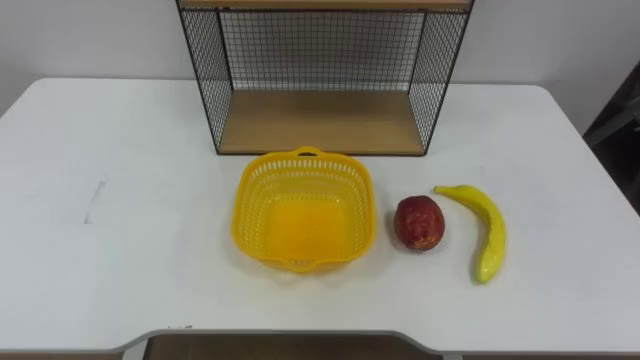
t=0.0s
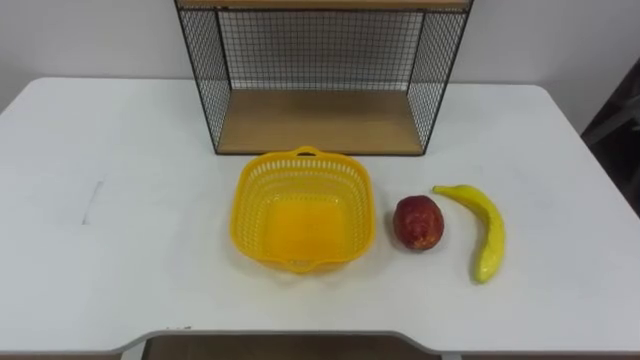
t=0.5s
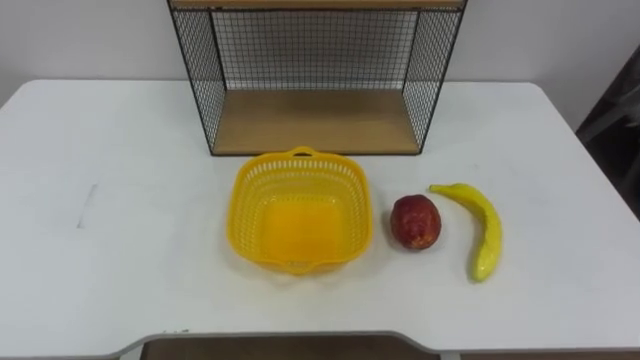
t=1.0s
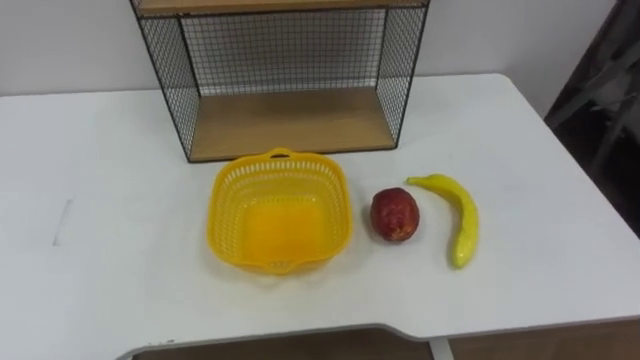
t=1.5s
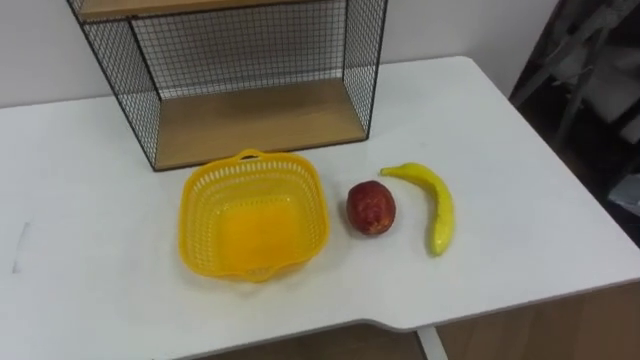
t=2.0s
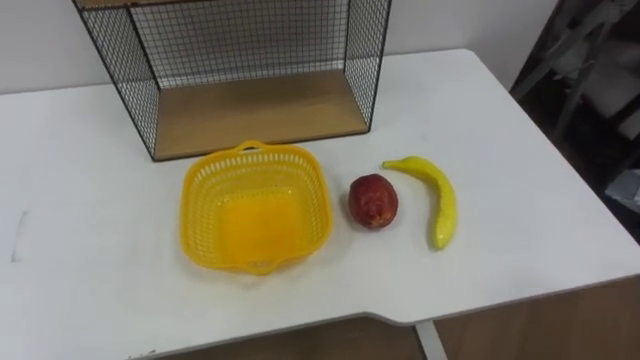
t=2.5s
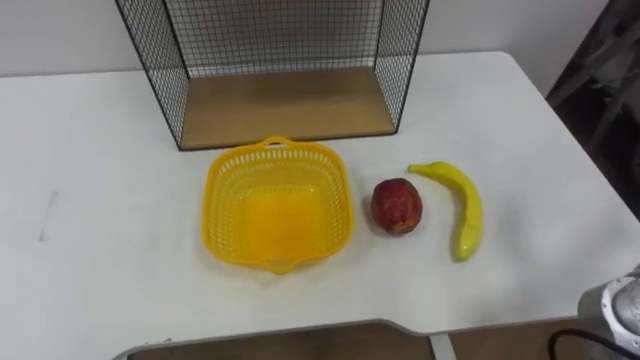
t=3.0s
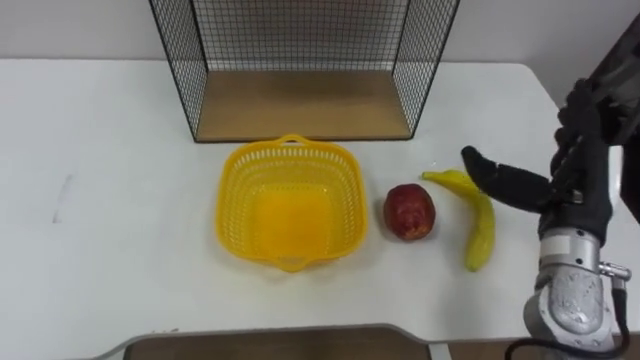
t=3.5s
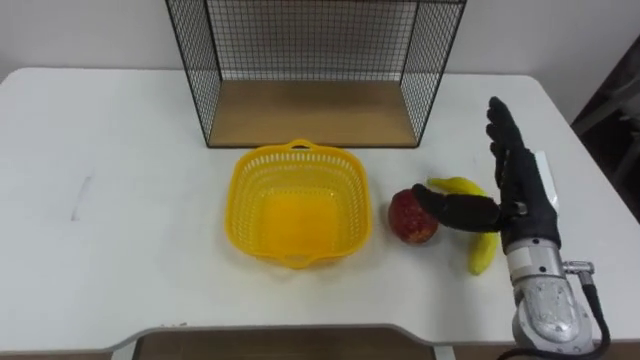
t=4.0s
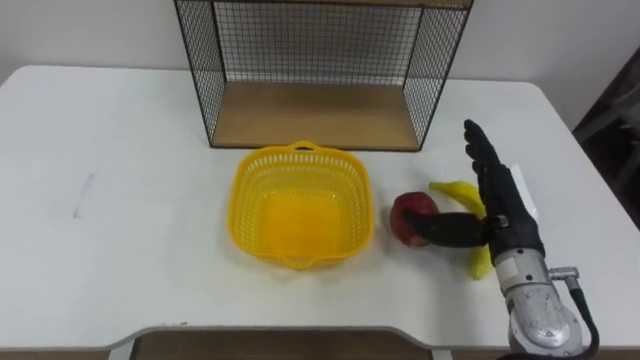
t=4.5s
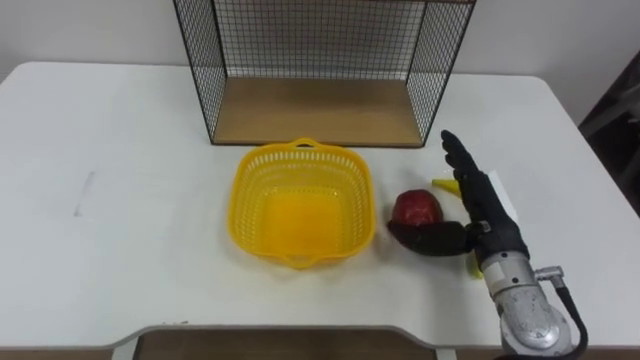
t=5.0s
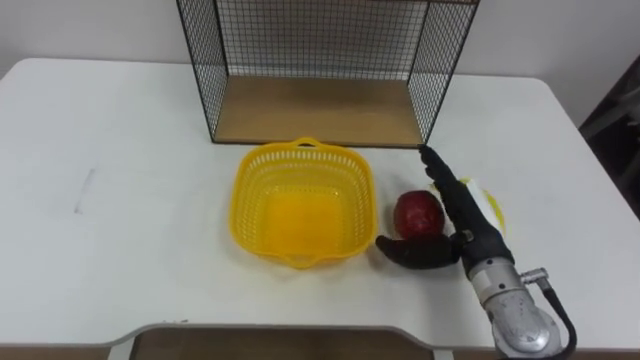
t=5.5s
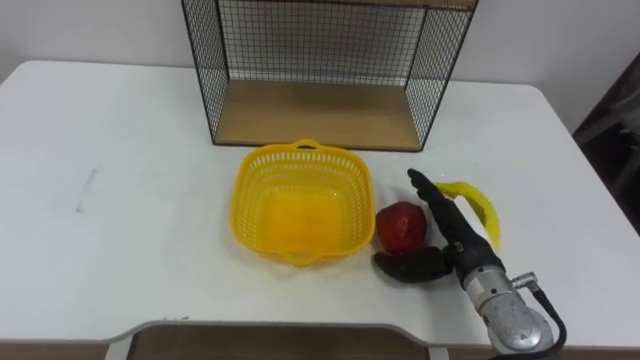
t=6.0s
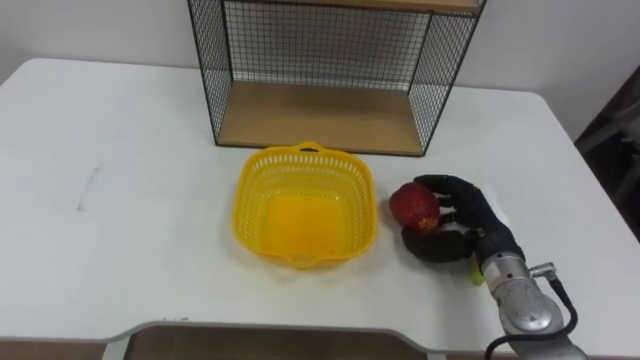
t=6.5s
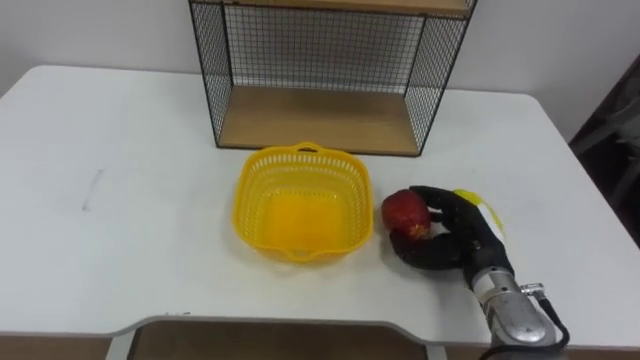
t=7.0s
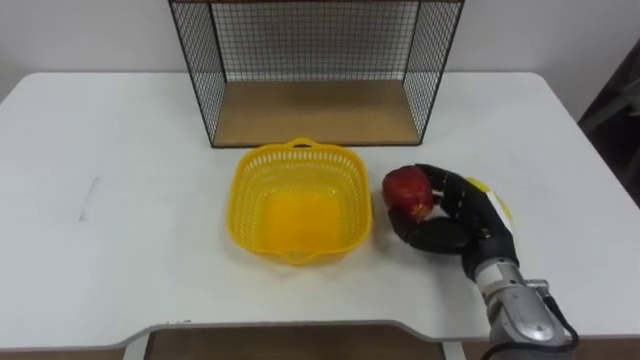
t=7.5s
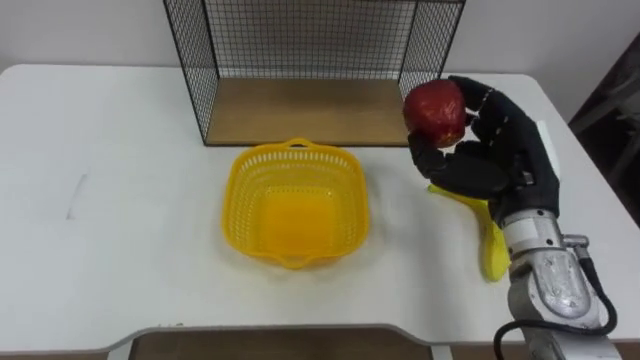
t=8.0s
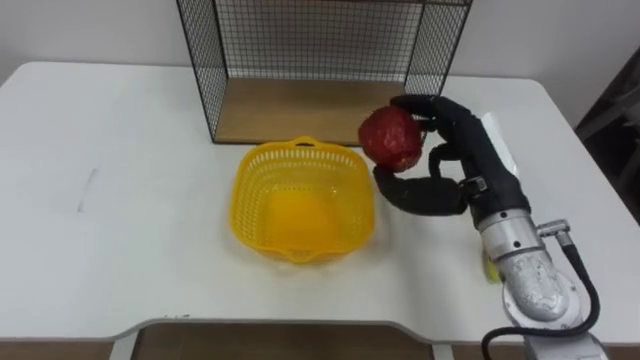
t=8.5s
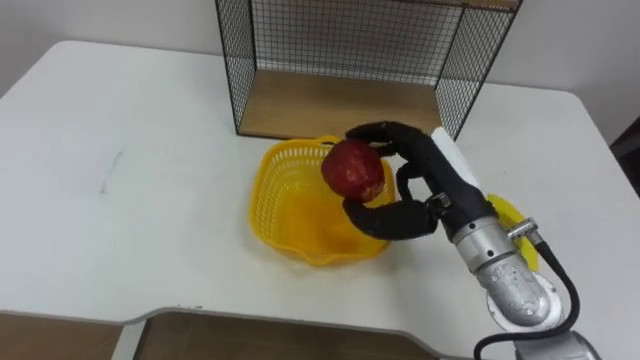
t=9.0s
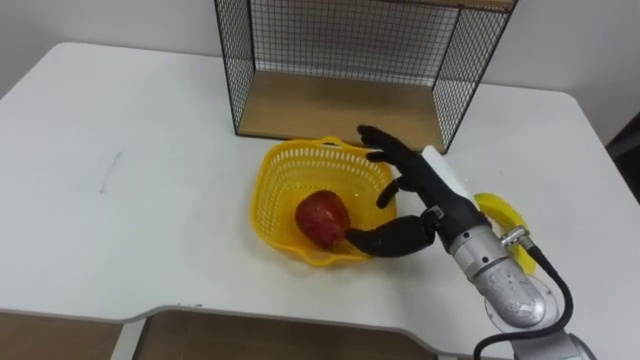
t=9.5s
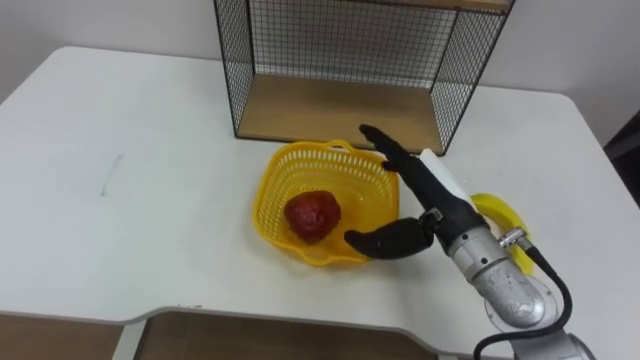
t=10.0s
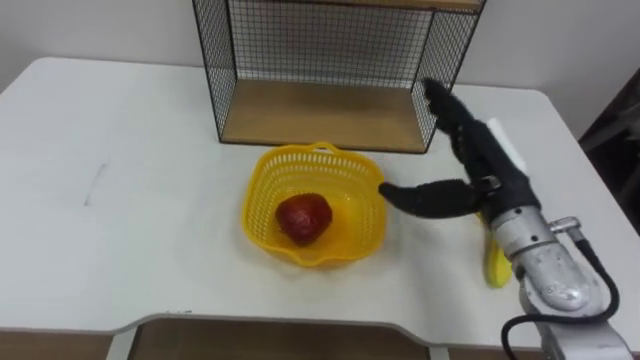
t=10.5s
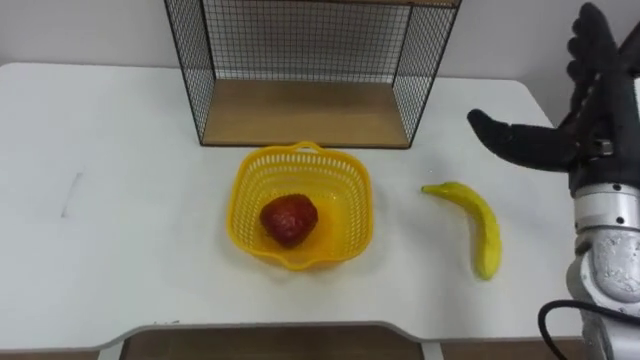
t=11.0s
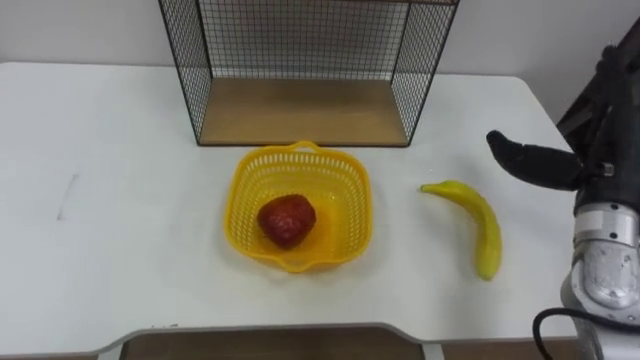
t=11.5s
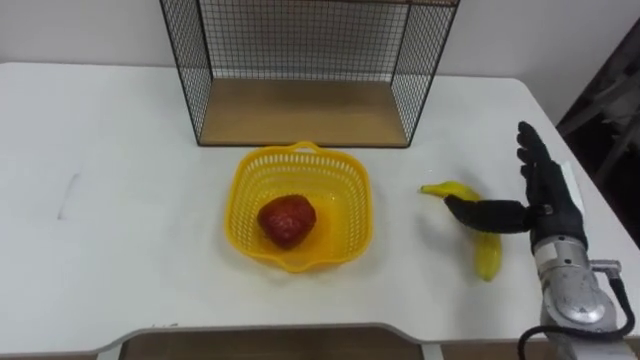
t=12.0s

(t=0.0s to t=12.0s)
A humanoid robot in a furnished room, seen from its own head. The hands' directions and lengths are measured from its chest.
Task of the whole recording: Put the fruit on the table into the basket, then place the basket on the shelf.
t=4.0s - t=6.0s: The right hand travels downward by some 10 cm.
t=6.0s - t=8.0s: The right hand is displaced upward by about 10 cm, and closes.
t=8.0s - t=10.0s: The right hand is displaced to the left by roughly 10 cm, and opens up.
t=10.0s - t=12.0s: The right hand shifts some 15 cm to the right.

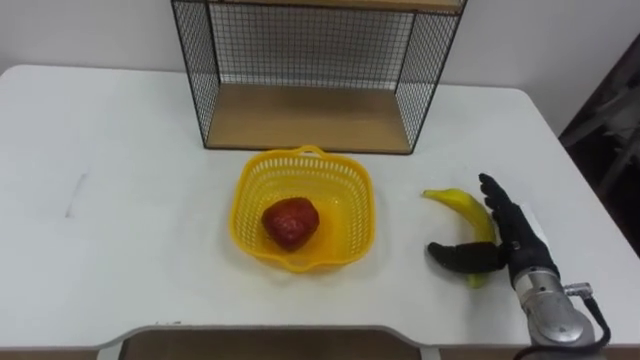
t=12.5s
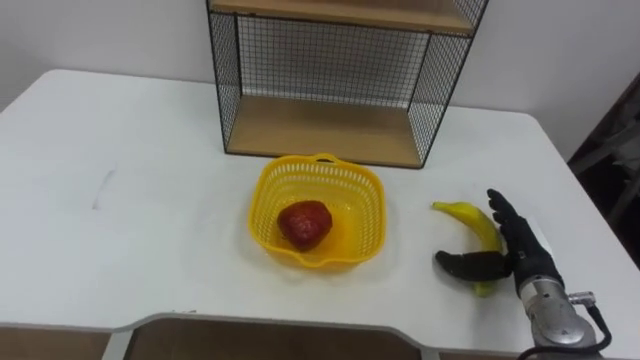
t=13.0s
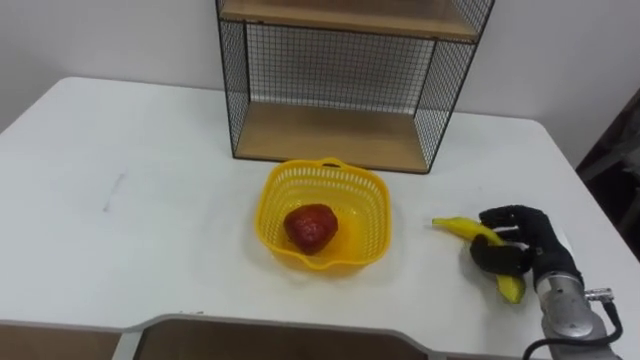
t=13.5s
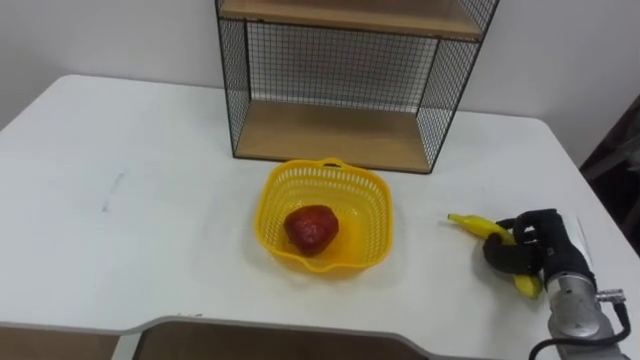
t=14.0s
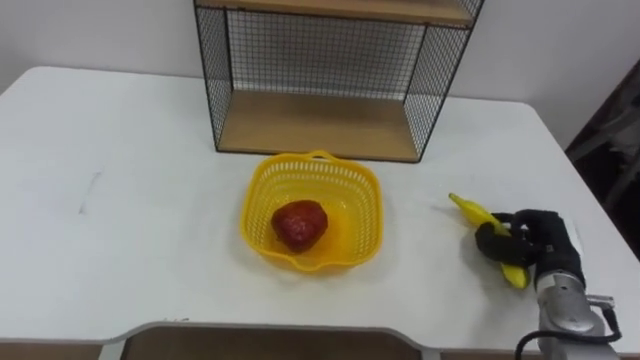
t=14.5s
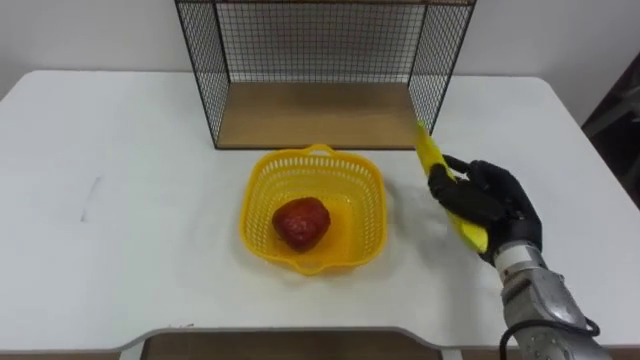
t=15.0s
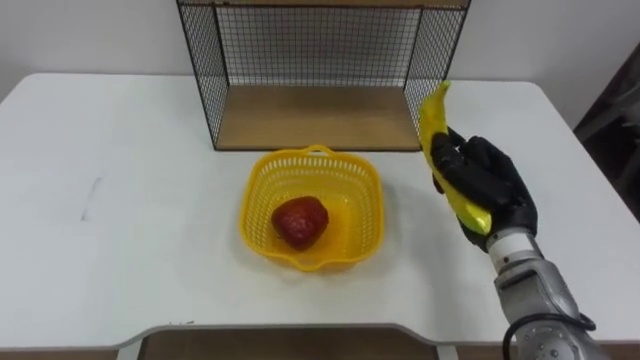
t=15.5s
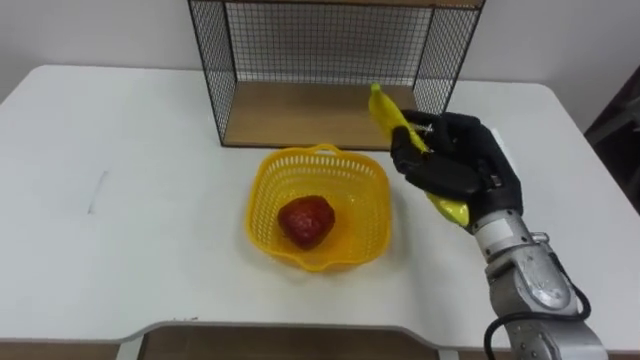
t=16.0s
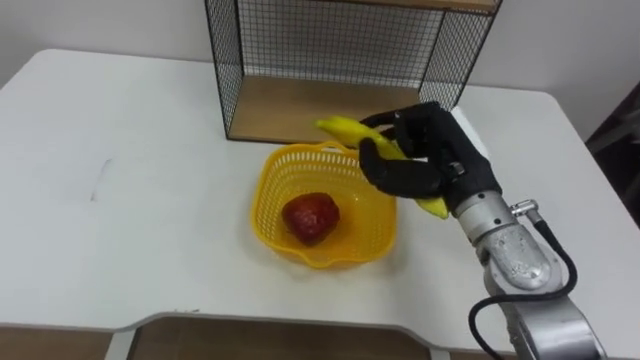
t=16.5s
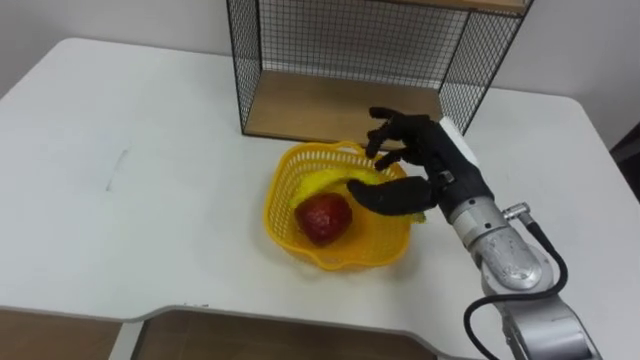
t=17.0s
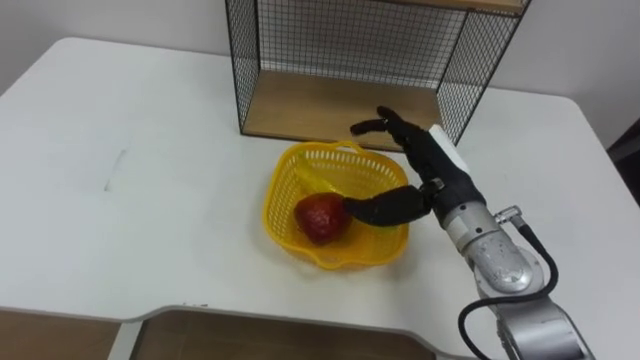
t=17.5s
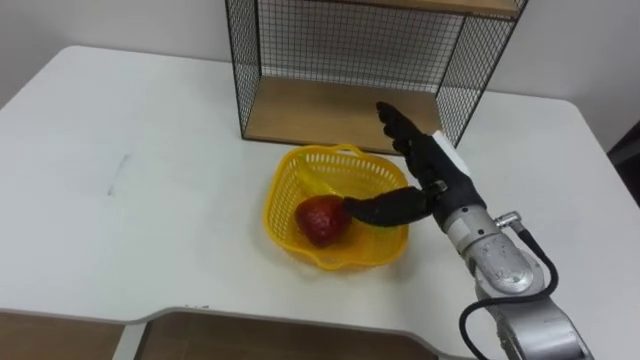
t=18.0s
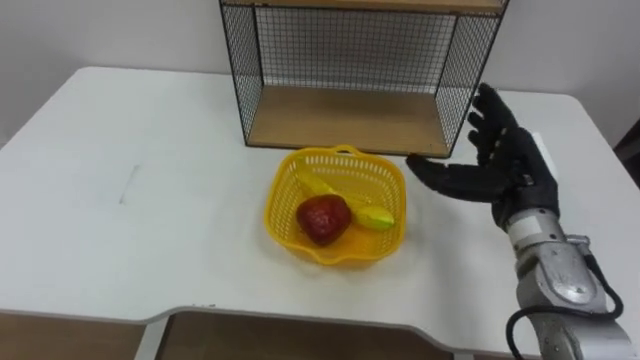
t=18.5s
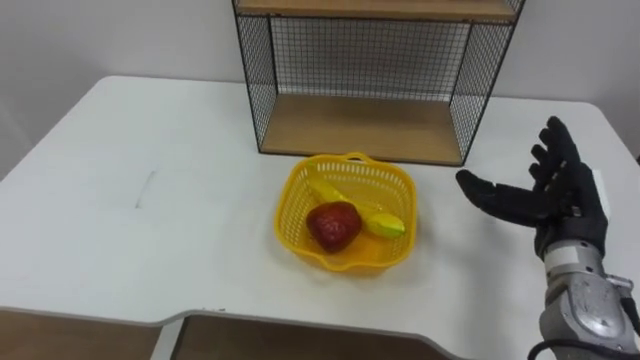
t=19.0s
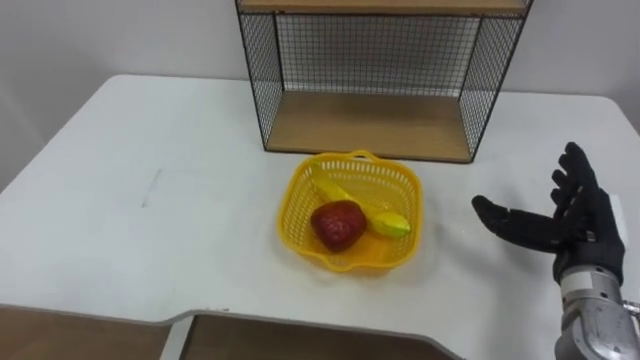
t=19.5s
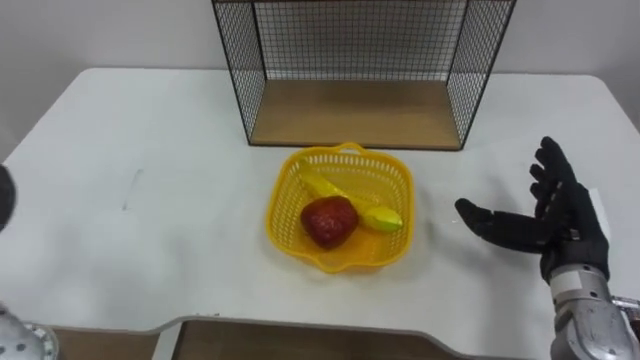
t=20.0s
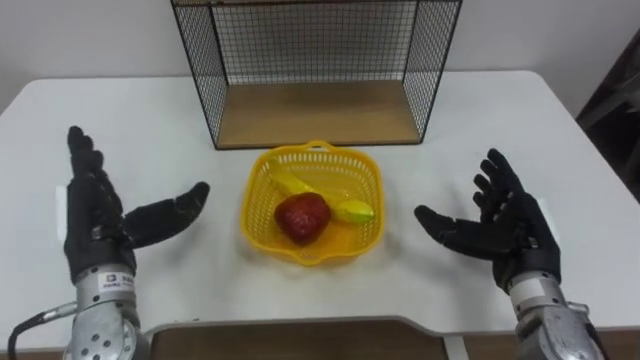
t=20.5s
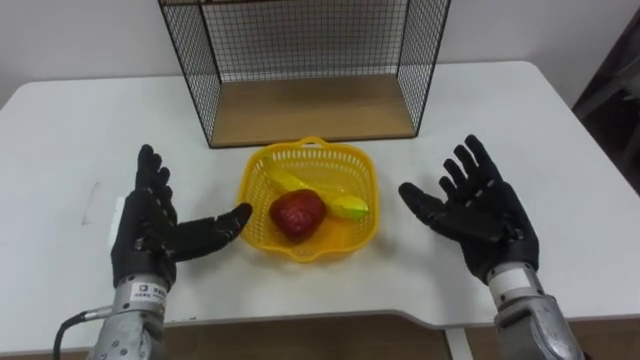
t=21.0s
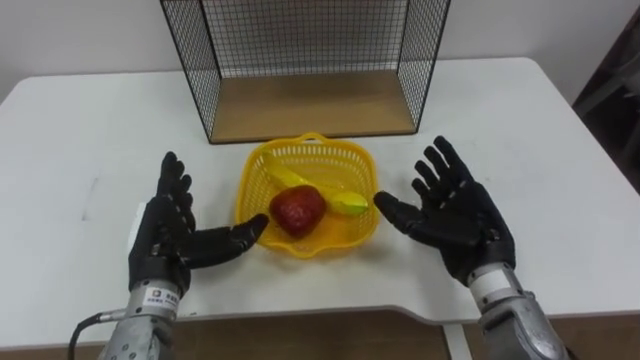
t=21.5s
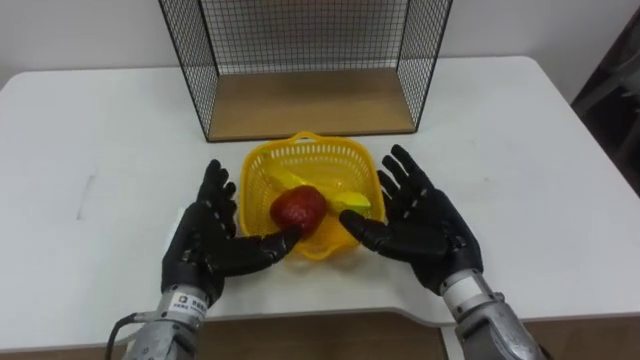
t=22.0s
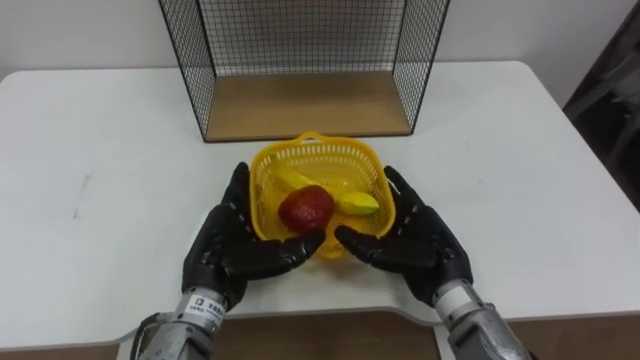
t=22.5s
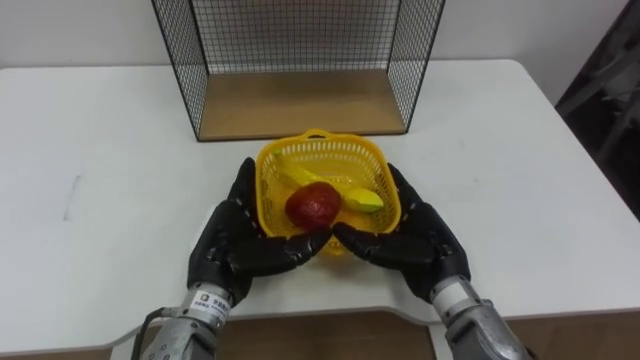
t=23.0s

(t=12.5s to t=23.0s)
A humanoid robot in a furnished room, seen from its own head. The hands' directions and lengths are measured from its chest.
Task of the whole recording: Put the fruit on the table into the basket, then place the basket on the shelf.
t=12.5s - t=14.5s: The right hand closes up.
t=14.5s - t=16.5s: The right hand heads upward and to the left, covering some 20 cm.
t=16.5s - t=19.0s: The right hand heads to the right, covering approximately 15 cm, and opens up.
t=19.0s - t=21.0s: The right hand goes about 5 cm to the left.
t=21.0s - t=23.0s: The left hand moves to the right, approximately 10 cm. Meanwhile the right hand is displaced to the left by some 10 cm.
